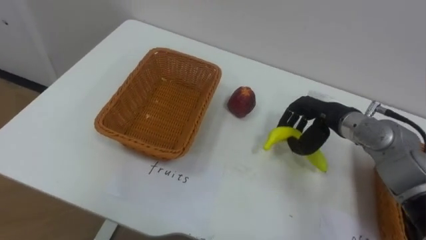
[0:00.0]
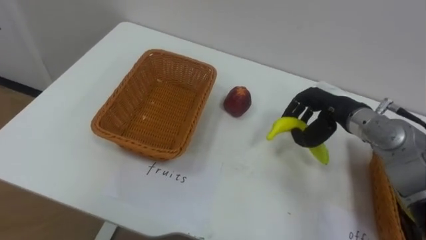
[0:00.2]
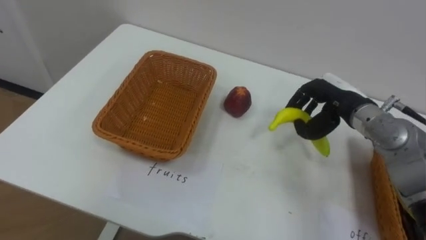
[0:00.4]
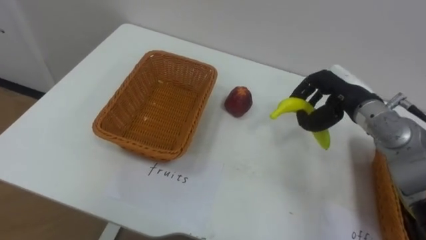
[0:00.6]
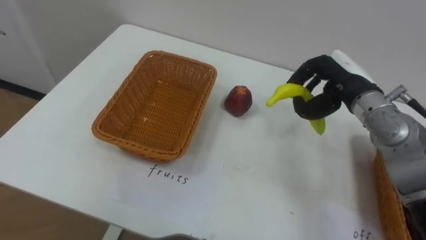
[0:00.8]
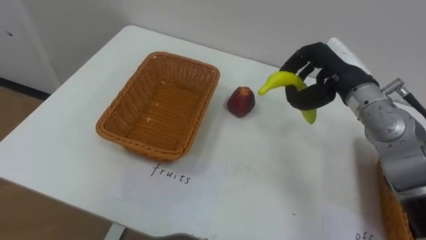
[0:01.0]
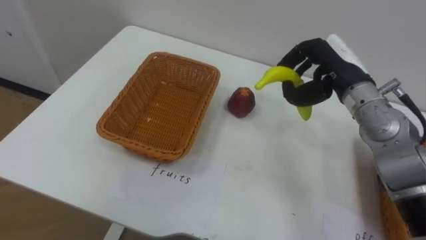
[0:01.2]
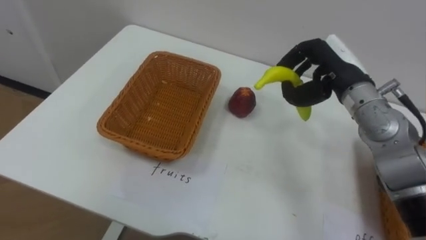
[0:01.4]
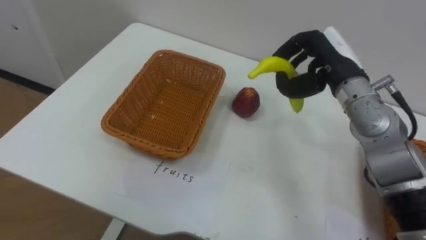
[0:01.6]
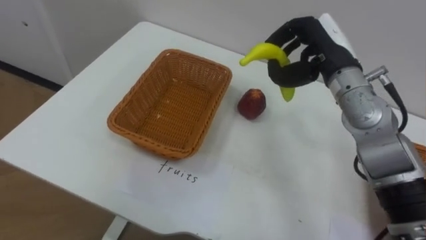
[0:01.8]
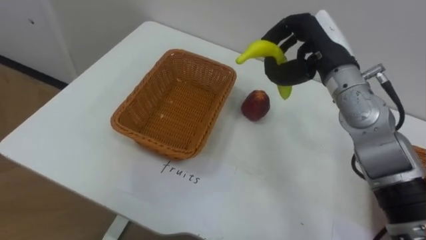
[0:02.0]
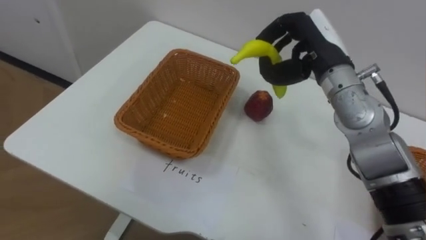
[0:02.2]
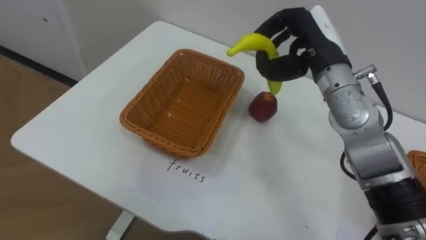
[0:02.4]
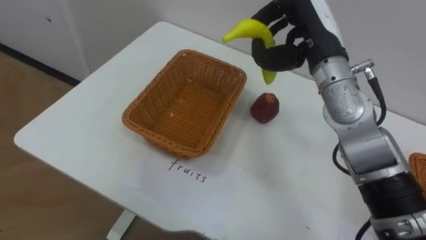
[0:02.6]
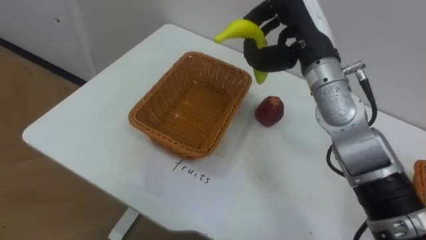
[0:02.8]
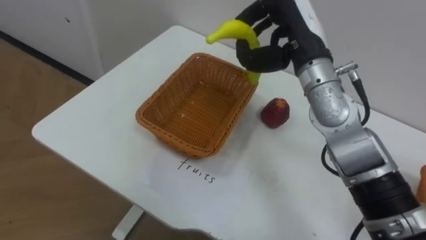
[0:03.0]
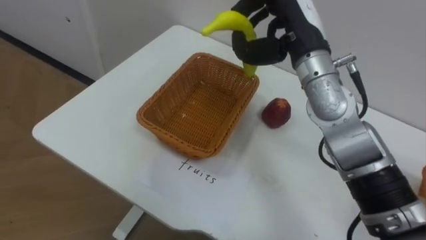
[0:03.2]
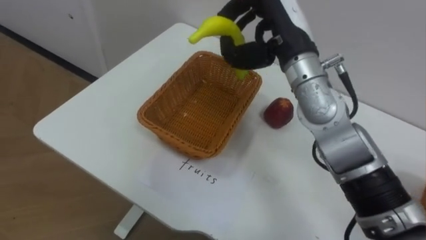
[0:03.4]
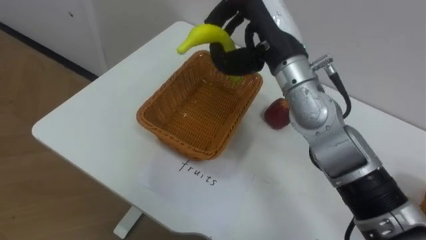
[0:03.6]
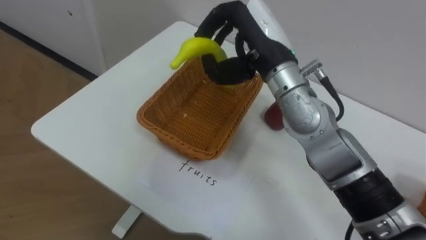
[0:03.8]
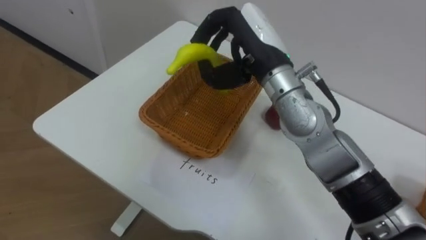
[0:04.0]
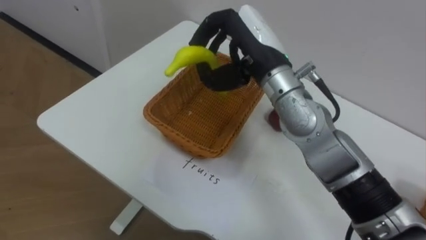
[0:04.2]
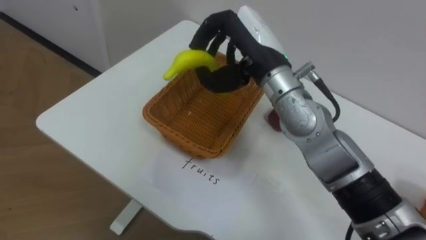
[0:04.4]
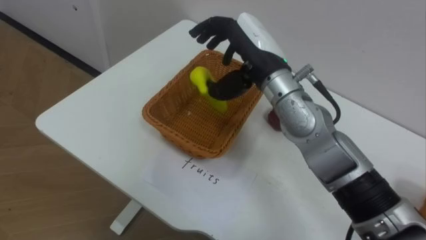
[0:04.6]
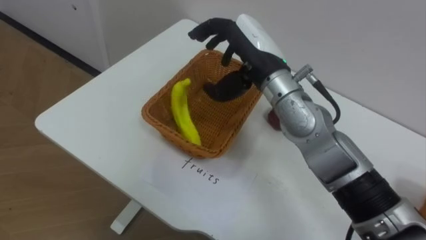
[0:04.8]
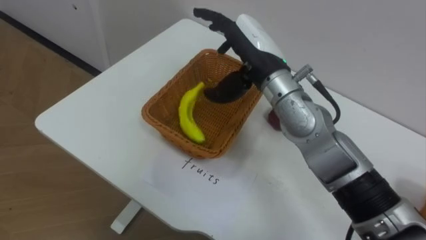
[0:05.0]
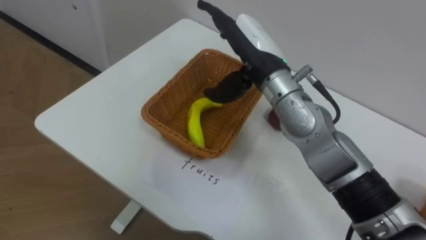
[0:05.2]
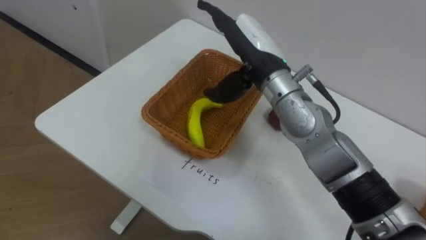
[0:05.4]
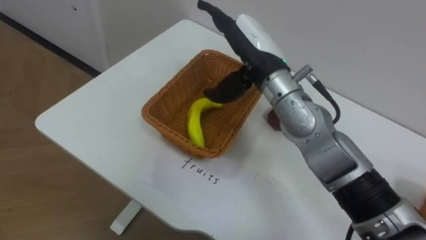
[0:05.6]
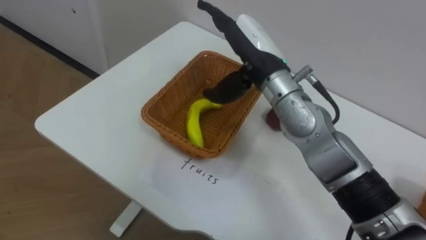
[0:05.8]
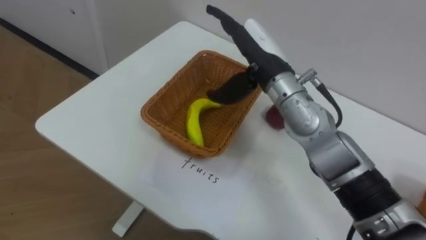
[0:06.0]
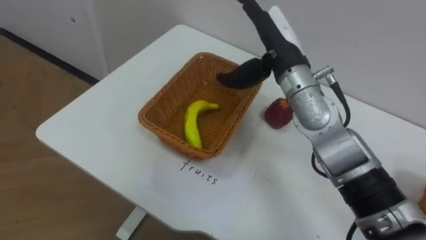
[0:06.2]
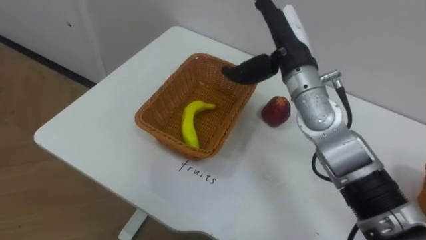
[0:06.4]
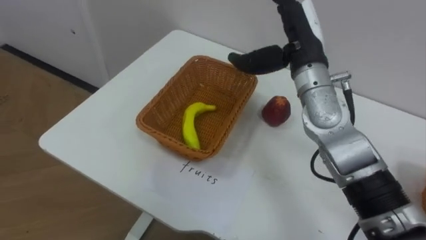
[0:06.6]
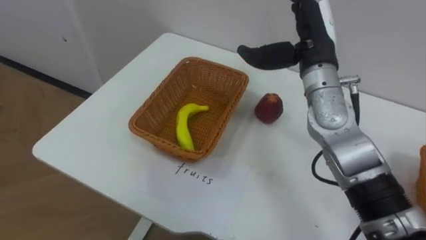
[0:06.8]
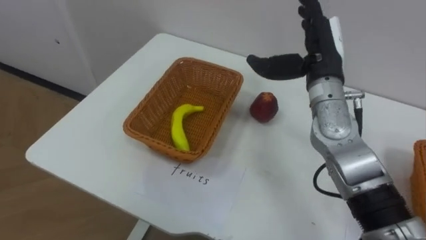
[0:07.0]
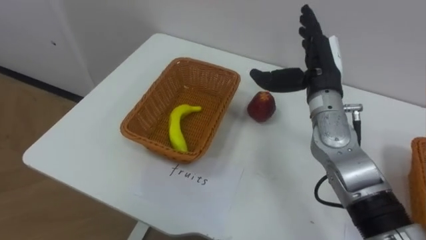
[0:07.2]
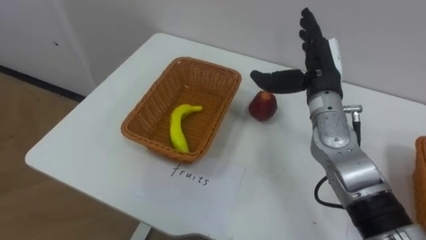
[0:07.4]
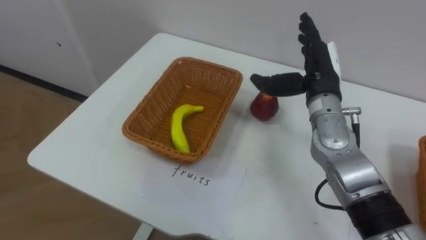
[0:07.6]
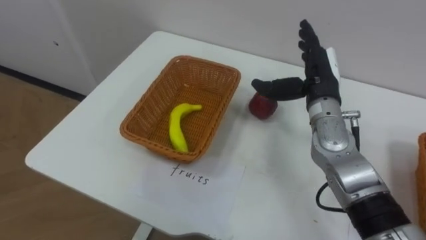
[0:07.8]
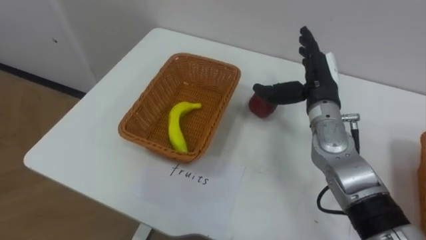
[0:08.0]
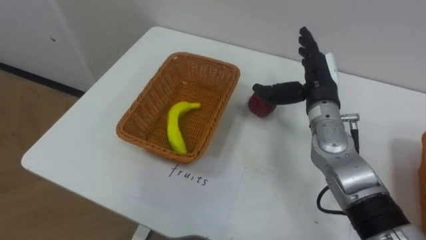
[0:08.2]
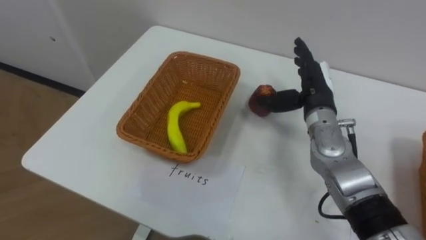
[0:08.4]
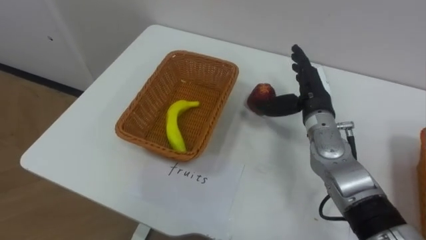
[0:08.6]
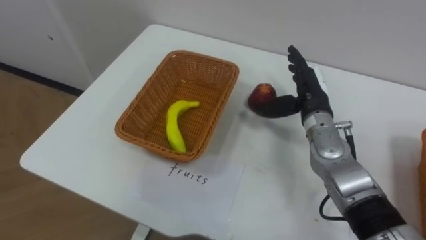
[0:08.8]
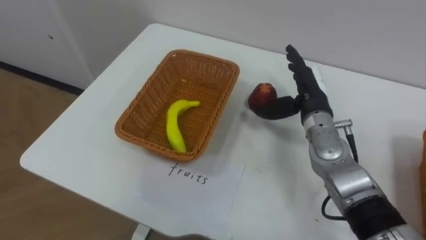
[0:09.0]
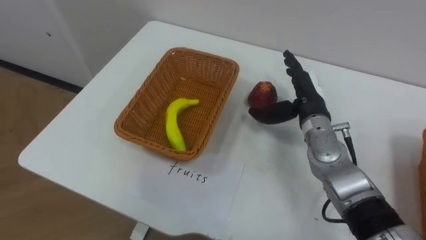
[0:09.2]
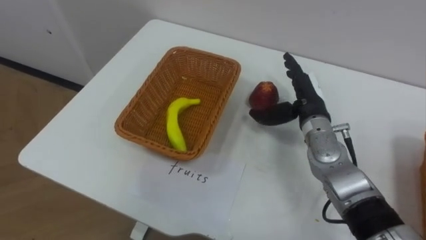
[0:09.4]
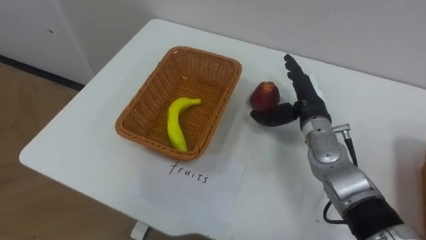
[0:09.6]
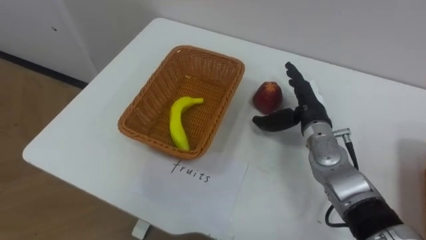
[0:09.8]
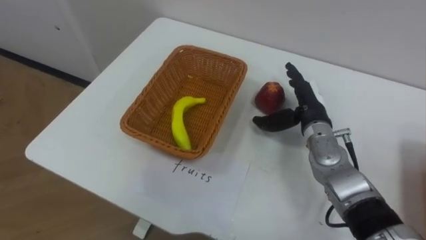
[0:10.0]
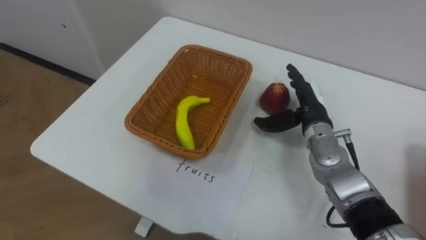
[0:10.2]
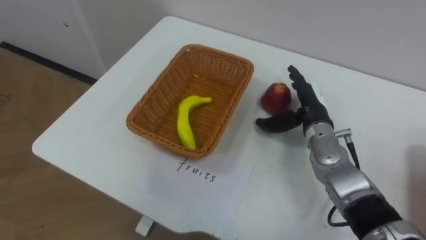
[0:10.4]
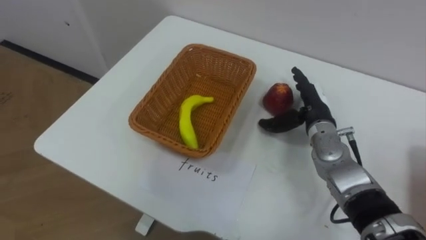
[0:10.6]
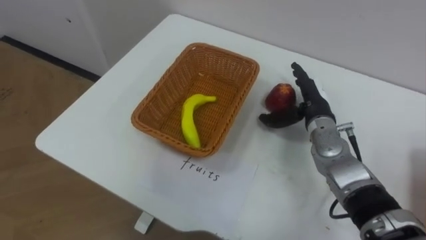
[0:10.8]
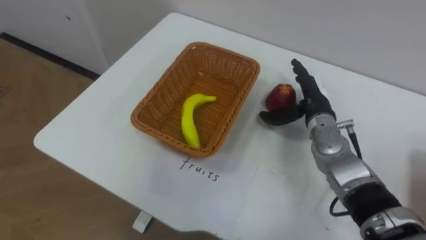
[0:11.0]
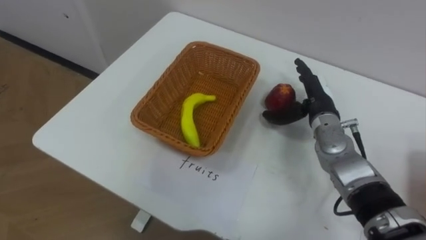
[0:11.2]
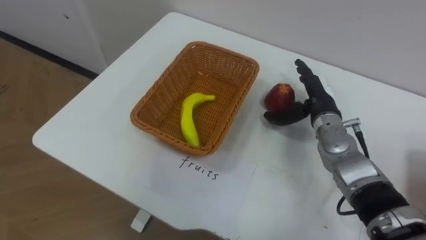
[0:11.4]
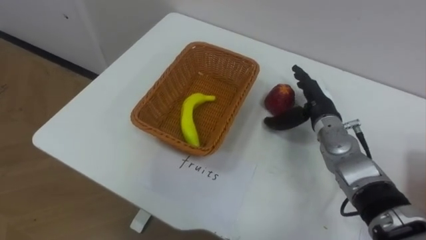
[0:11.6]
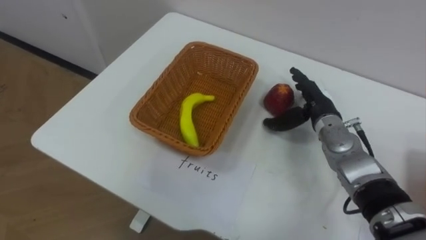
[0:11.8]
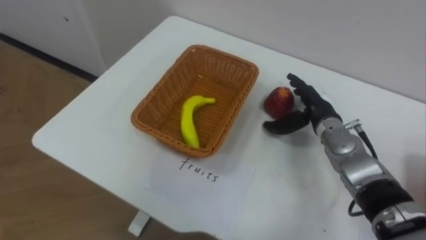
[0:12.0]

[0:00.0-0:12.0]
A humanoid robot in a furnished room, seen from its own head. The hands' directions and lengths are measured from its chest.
Task of the whole recording: Separate the items on the table and place them into the two baskets.
0:00.0 to 0:01.6: The right hand shifts about 10 cm upward.
0:01.6 to 0:03.0: The right hand heads to the left and upward, covering approximately 10 cm.
0:03.0 to 0:04.4: The right hand shifts about 5 cm to the left.
0:04.4 to 0:06.0: The right hand opens up.
0:06.0 to 0:07.6: The right hand travels to the right by approximately 10 cm.
0:07.6 to 0:09.0: The right hand heads downward, covering roughly 5 cm.

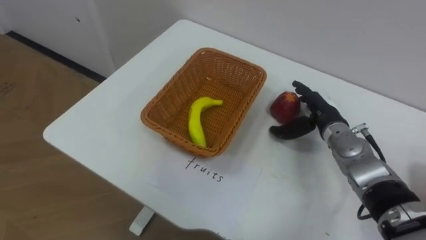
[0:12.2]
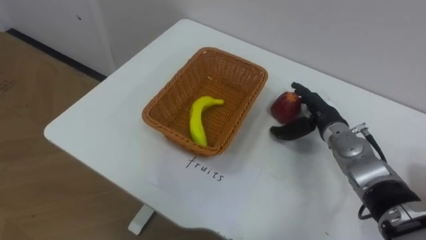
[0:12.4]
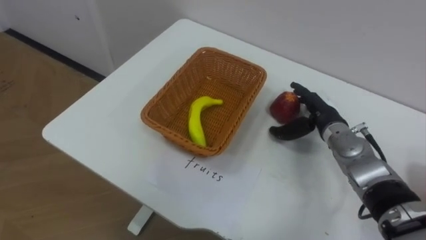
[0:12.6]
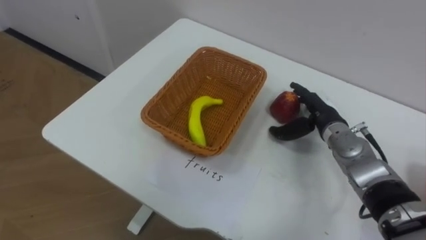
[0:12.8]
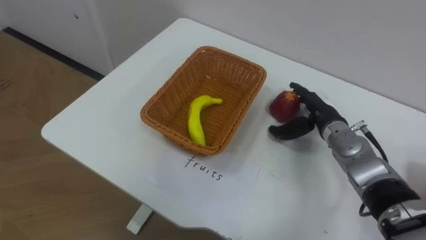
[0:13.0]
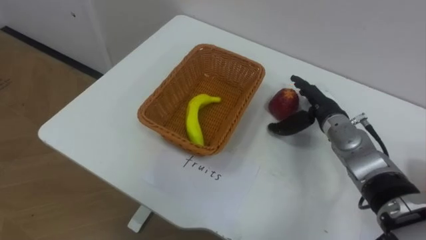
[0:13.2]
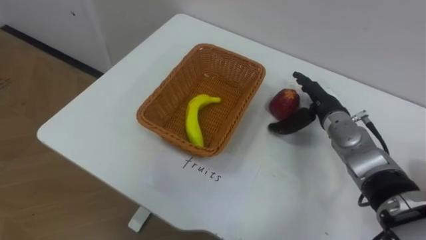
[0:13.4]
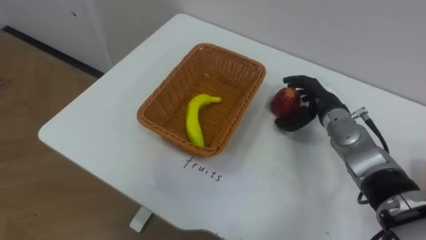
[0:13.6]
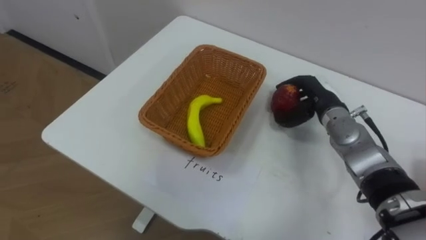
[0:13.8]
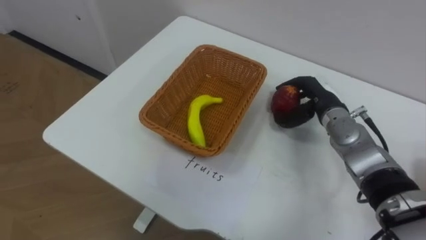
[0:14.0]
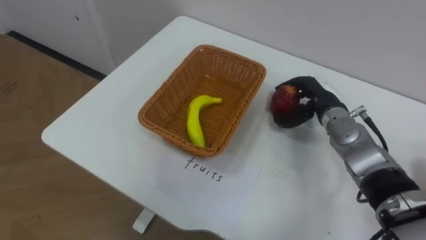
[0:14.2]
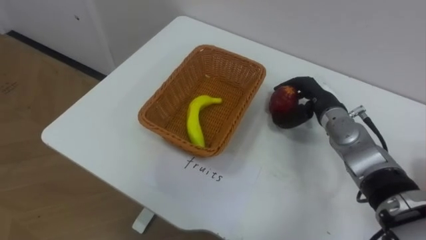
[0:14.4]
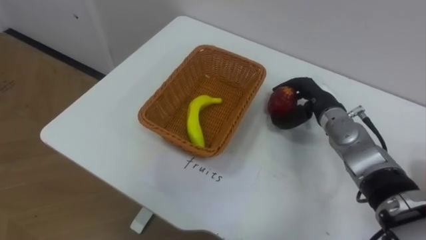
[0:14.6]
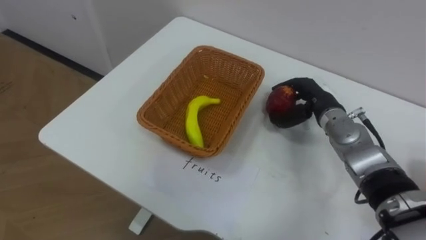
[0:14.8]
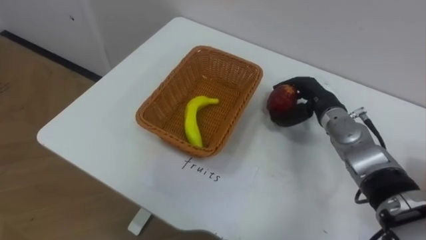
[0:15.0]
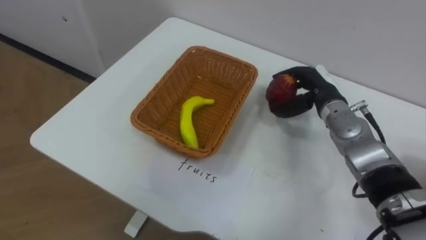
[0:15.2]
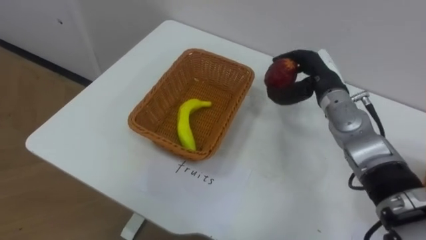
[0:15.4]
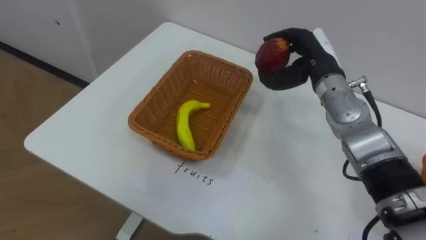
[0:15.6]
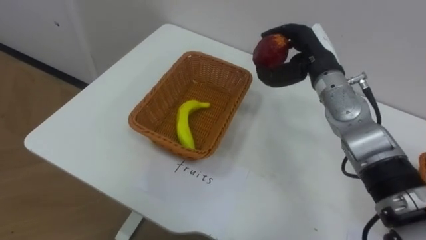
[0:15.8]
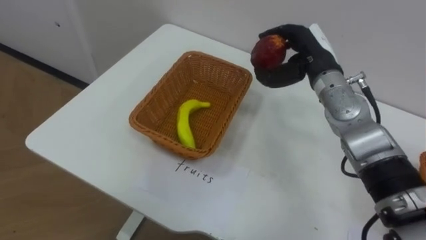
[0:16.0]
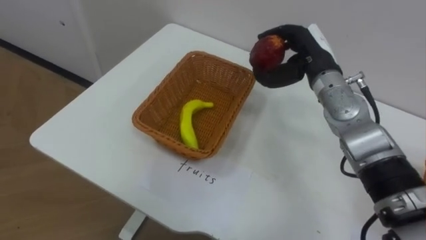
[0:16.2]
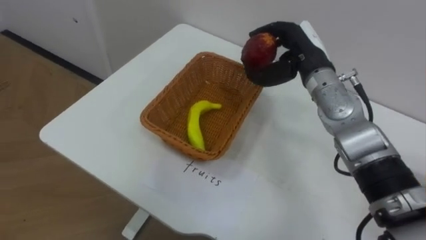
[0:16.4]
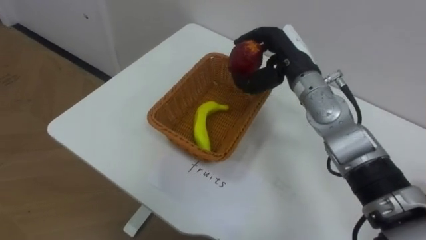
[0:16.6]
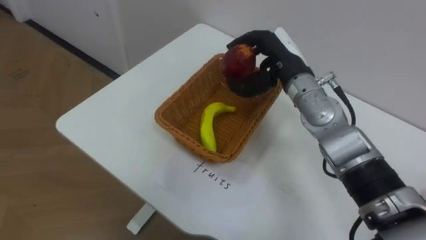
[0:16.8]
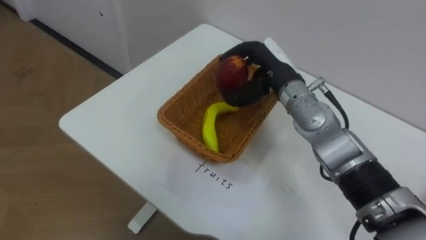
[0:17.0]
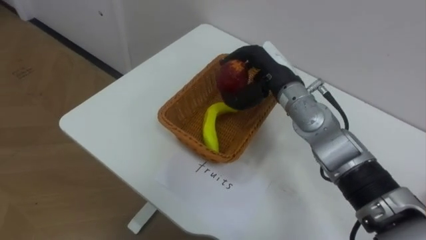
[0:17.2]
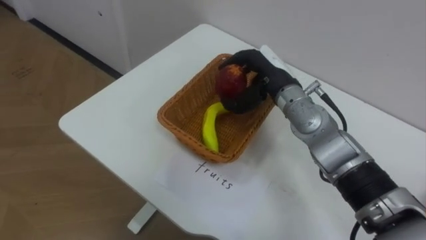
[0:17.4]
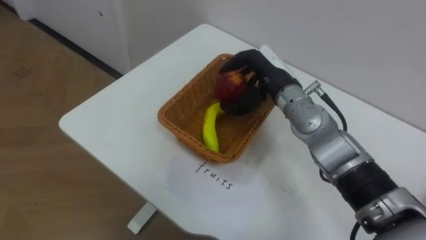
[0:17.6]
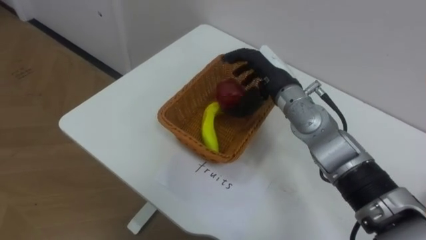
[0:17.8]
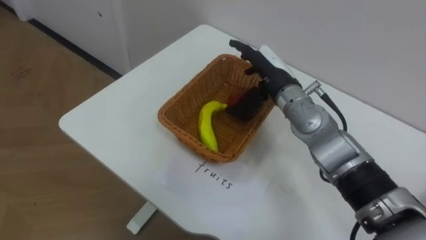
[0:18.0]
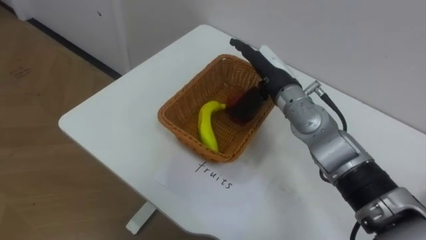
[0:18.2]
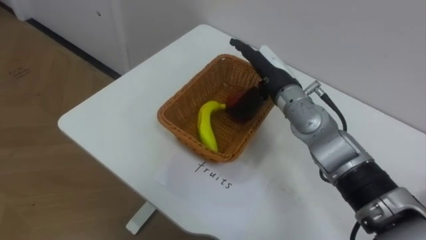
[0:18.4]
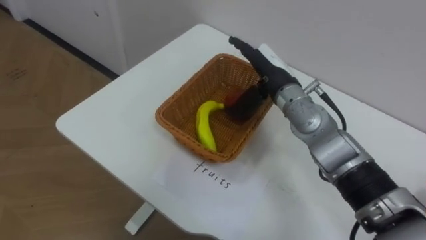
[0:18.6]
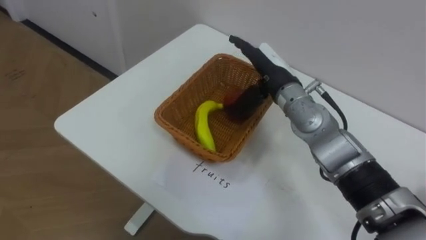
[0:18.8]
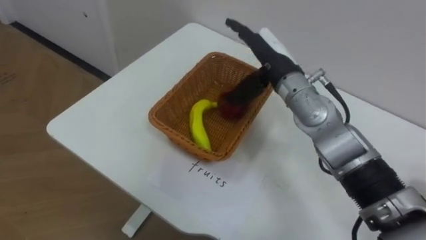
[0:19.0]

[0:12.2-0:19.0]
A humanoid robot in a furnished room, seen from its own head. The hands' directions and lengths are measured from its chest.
Task of the whole recording: Separate the items on the table and place them into the two baskets.
0:13.6 to 0:15.0: The right hand closes up.
0:15.0 to 0:16.2: The right hand goes about 10 cm upward.
0:16.2 to 0:17.6: The right hand goes some 5 cm to the left.
0:17.6 to 0:19.0: The right hand opens up.
